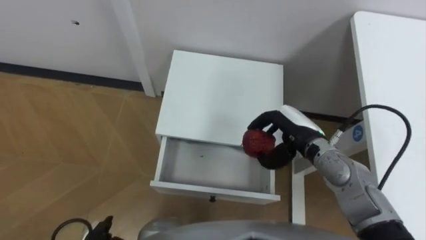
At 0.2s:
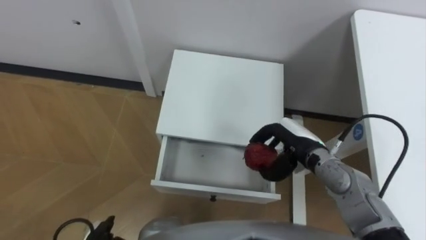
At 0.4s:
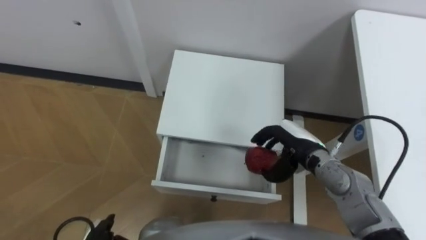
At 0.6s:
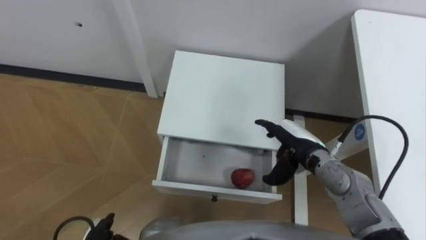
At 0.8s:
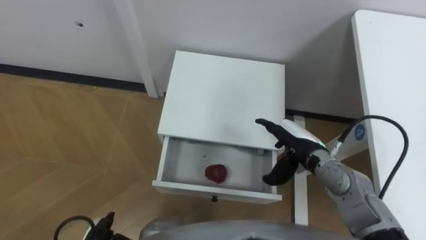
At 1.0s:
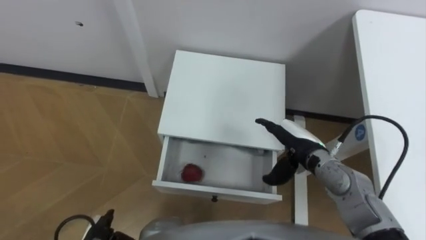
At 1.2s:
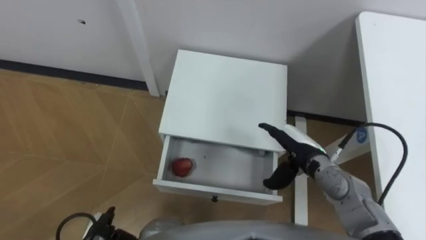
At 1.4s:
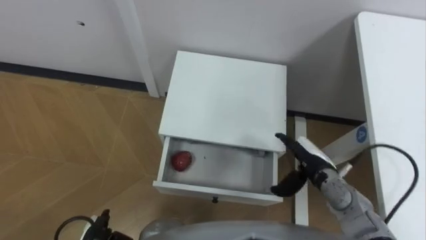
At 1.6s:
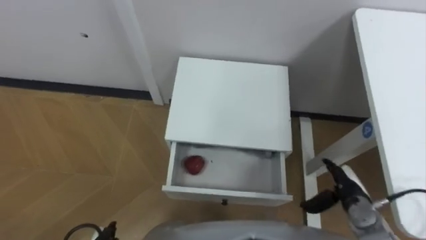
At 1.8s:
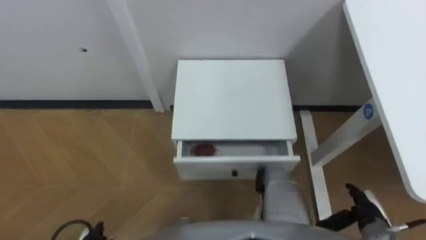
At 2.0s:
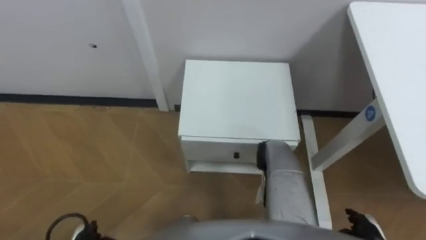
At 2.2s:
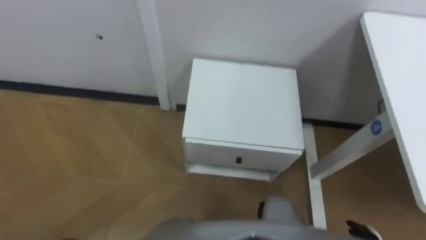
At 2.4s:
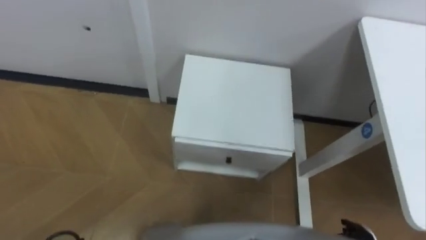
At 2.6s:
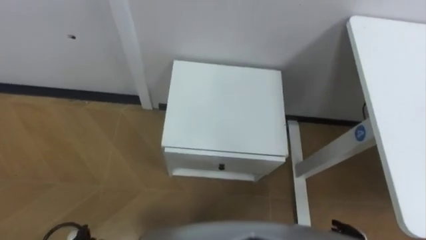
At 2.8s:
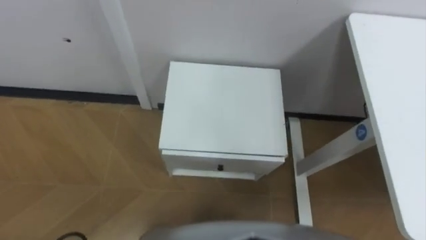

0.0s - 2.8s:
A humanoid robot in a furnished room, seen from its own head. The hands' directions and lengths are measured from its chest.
Task of the whole recording: Pick up the apple from the table, put it in the drawer, and close the drawer with leg.
0.0s - 1.4s: The right hand moves downward, approximately 5 cm, and opens.

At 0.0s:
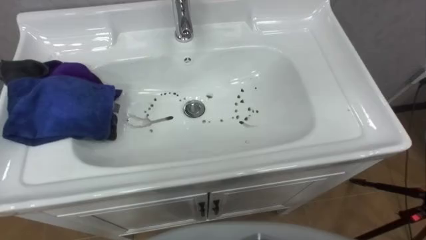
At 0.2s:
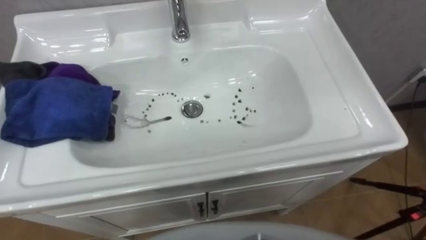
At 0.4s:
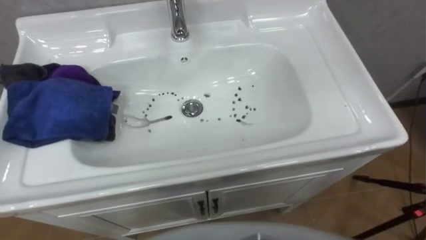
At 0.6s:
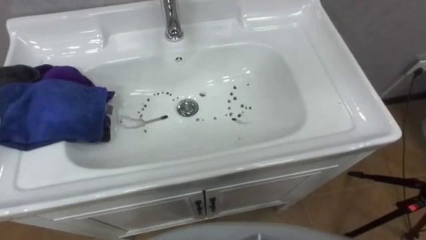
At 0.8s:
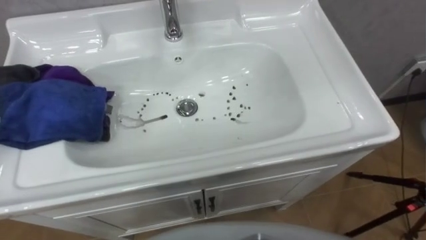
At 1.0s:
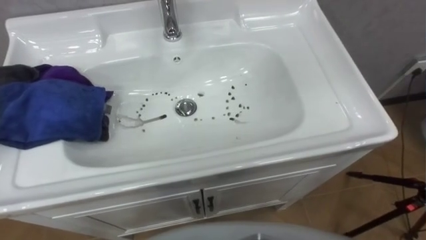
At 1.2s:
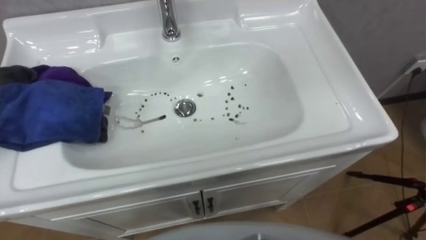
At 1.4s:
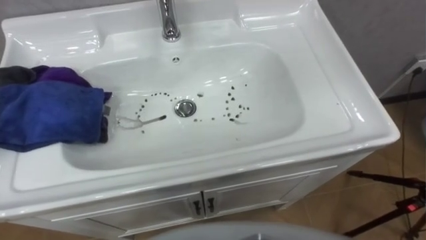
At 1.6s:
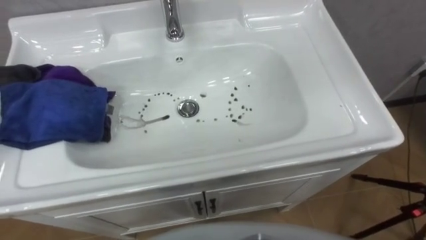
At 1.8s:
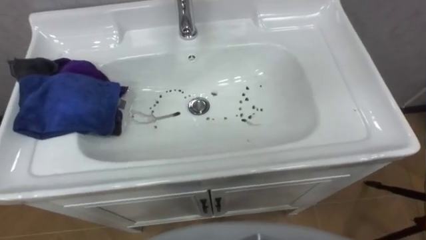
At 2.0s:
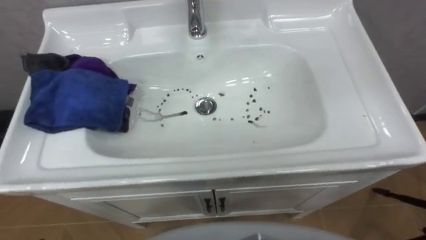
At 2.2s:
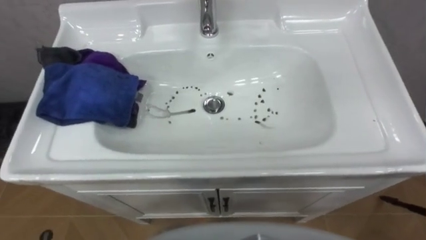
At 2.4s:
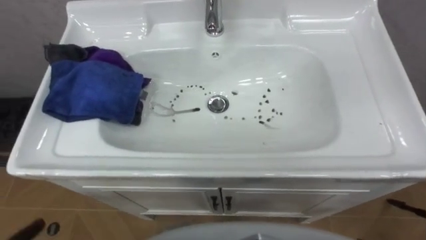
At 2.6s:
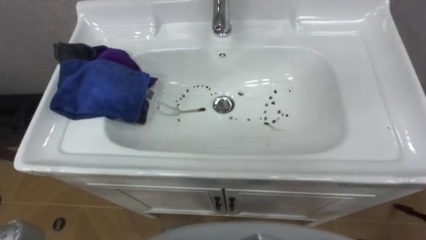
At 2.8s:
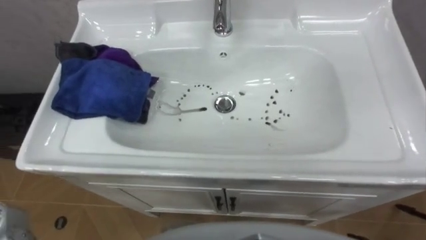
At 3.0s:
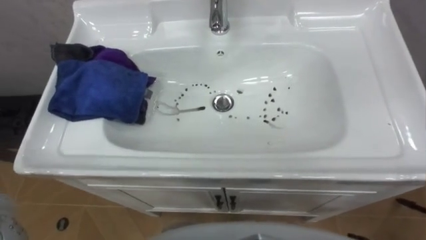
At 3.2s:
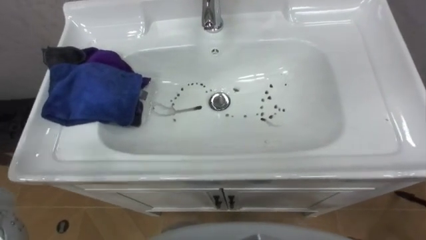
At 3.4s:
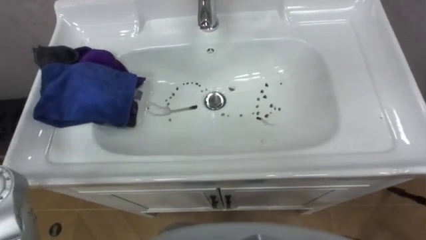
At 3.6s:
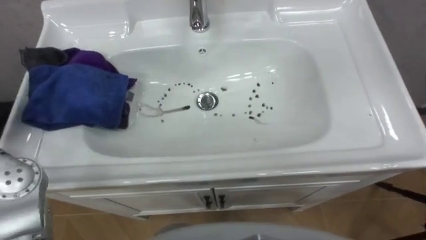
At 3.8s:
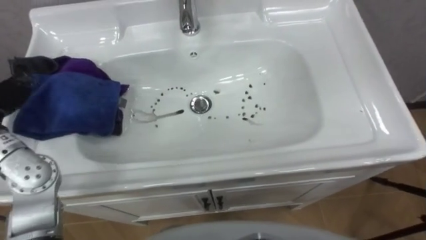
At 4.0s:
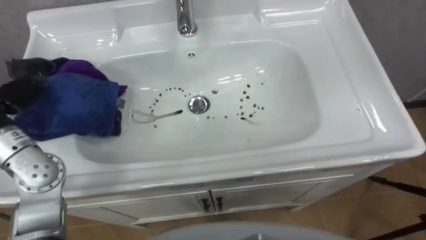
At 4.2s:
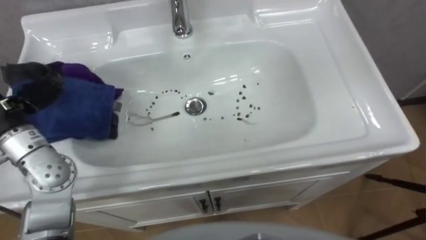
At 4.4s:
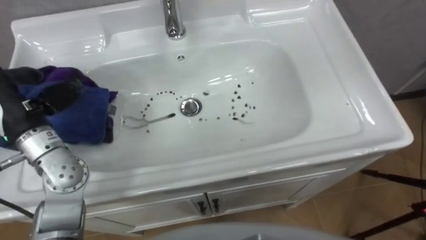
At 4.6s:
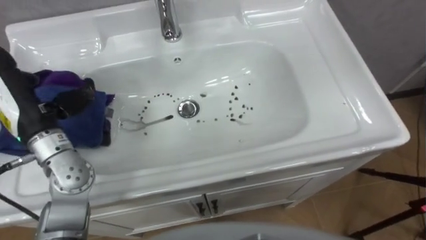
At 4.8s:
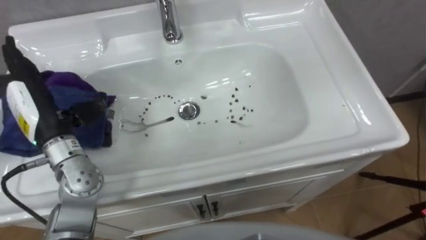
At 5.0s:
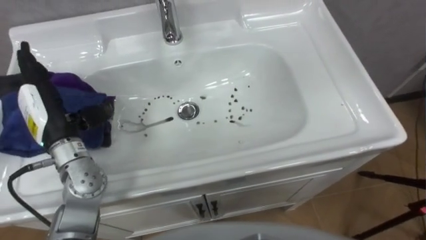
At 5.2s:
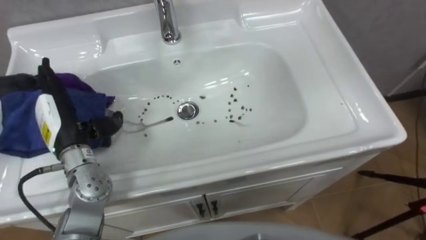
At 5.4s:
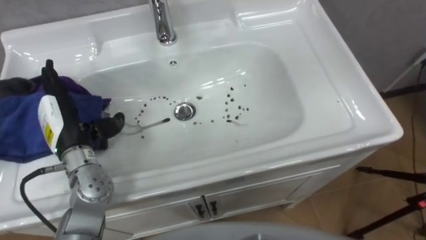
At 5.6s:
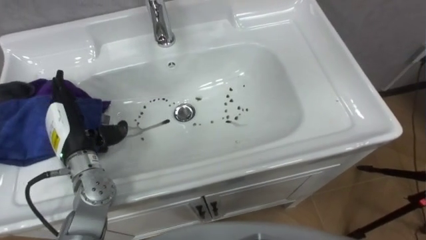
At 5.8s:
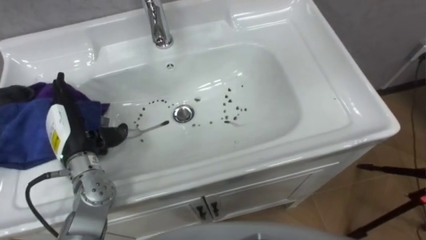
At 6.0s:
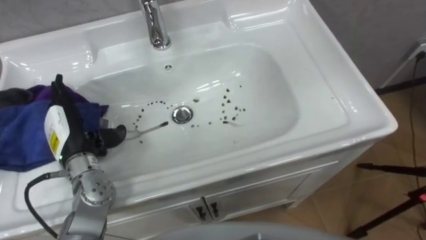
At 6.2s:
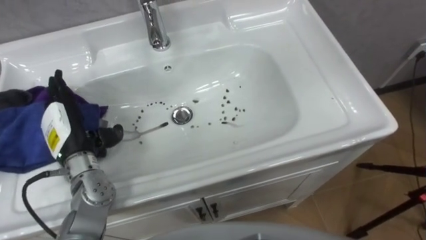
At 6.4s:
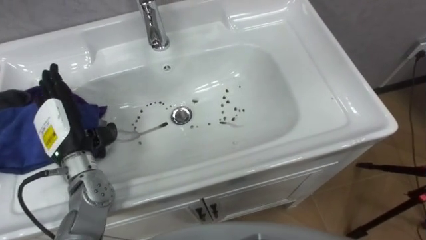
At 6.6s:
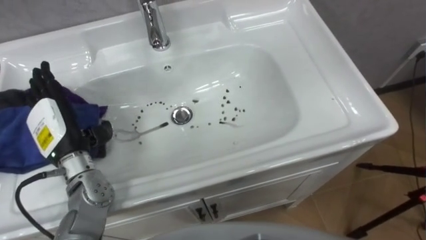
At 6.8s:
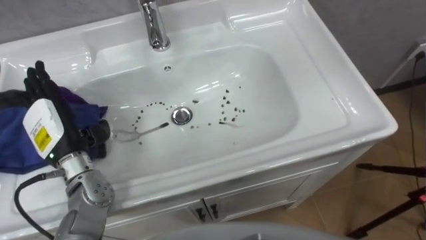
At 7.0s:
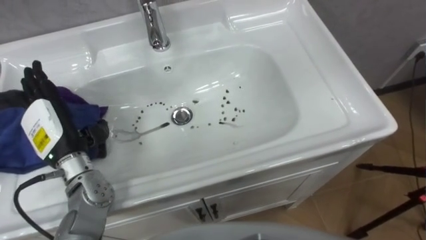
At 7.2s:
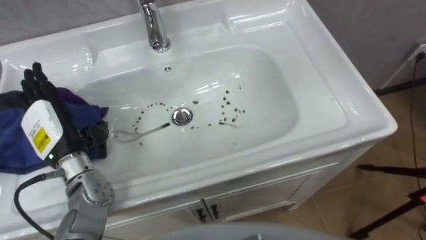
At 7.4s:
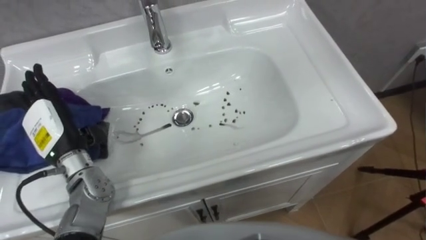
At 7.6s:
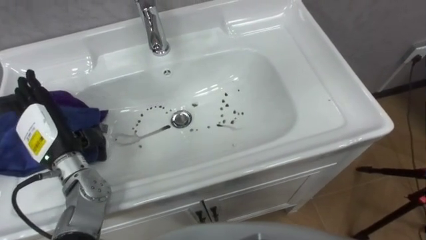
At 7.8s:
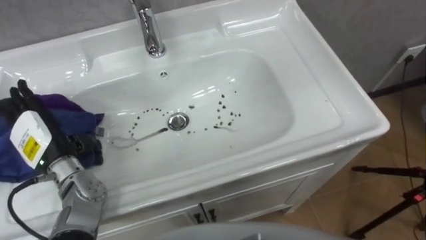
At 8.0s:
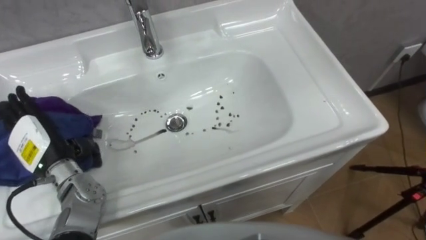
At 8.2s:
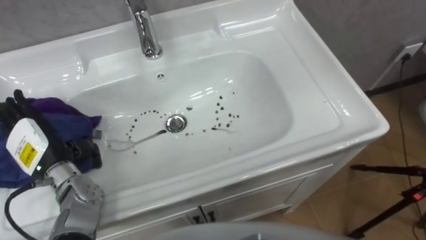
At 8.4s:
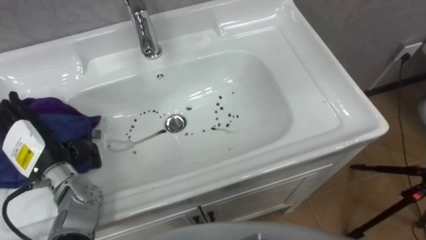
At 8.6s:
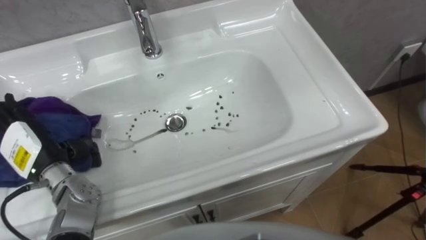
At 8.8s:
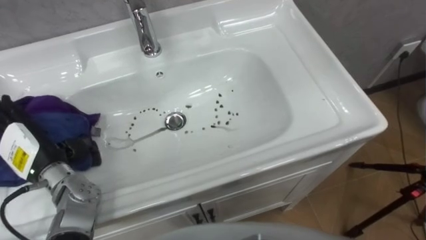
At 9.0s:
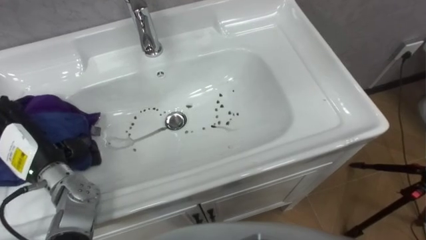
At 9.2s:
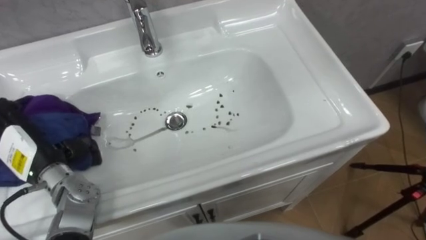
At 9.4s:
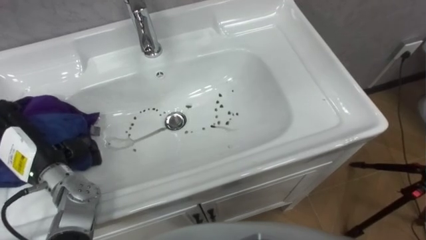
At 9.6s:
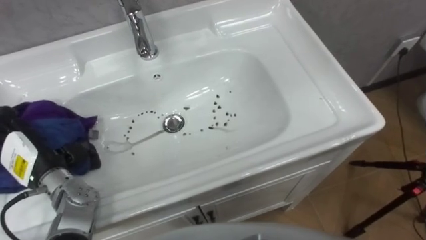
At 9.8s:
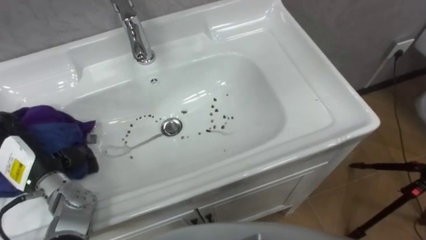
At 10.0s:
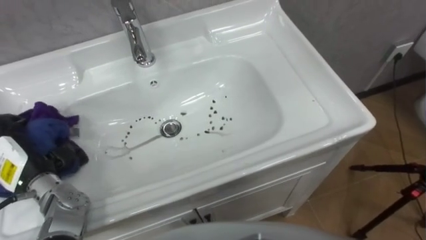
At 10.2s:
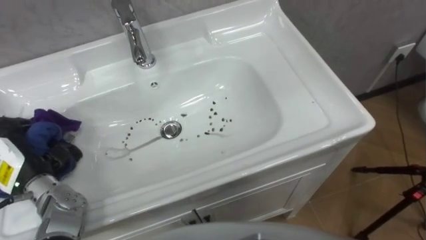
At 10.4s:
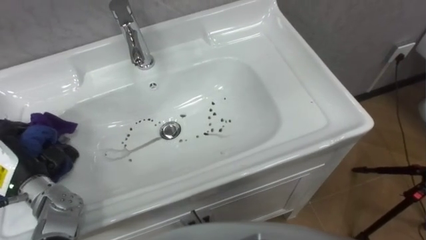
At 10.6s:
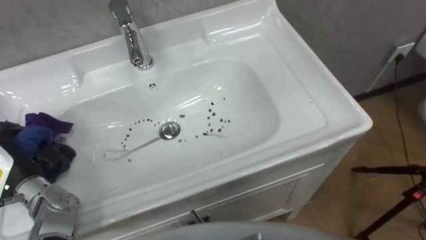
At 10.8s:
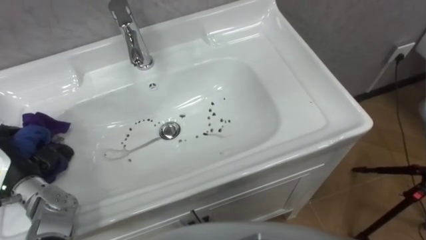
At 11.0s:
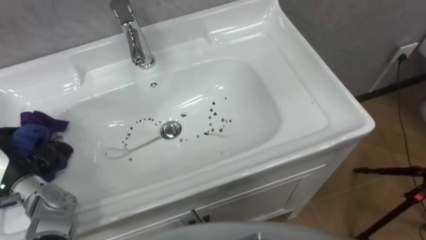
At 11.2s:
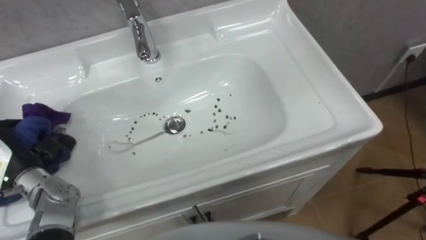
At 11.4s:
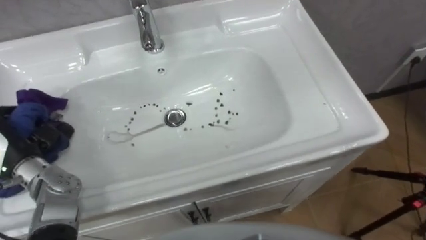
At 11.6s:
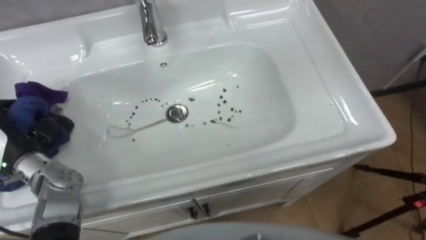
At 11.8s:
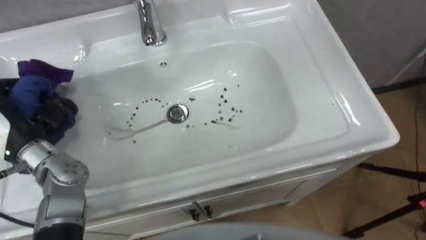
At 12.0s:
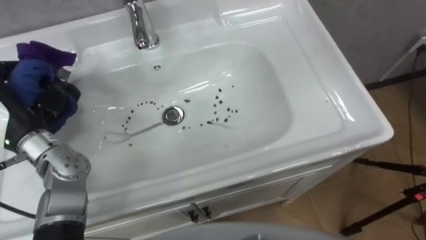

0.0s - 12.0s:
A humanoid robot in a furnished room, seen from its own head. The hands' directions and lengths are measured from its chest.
Task of the whole recording: Use the cloth on the right to wipe away the black stain in the sink.
4.4s - 6.0s: The left hand travels downward by roughly 10 cm.
9.0s - 10.4s: The left hand changes place by roughly 5 cm, and closes.

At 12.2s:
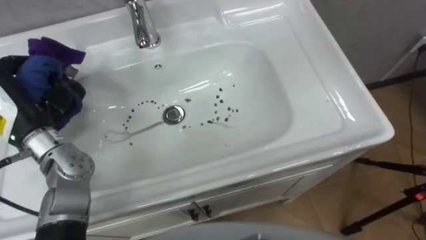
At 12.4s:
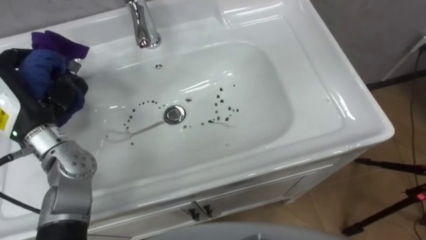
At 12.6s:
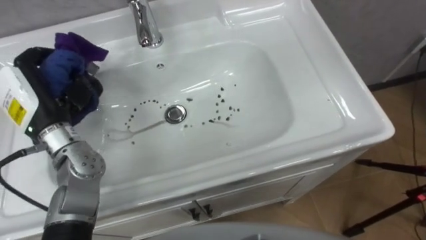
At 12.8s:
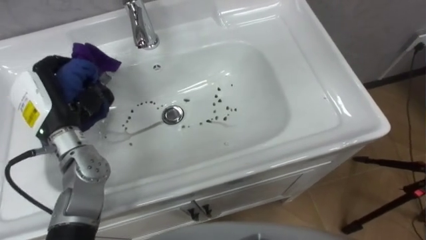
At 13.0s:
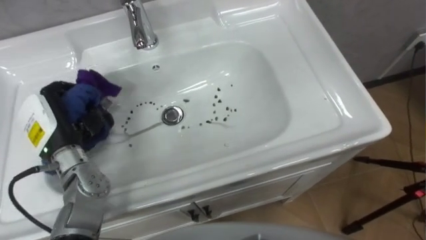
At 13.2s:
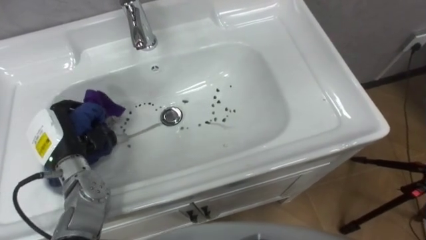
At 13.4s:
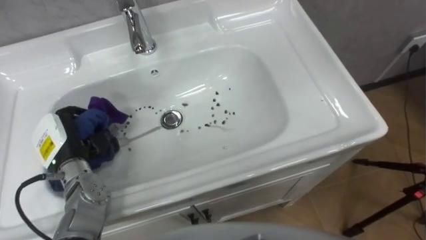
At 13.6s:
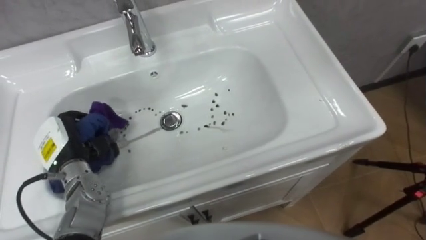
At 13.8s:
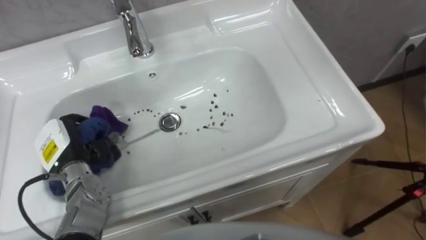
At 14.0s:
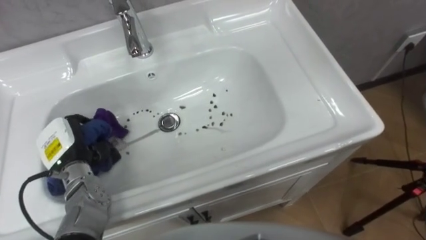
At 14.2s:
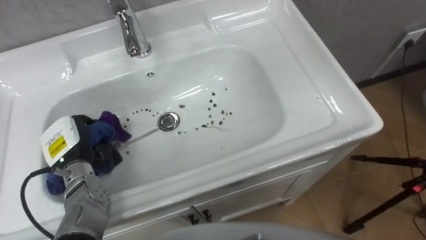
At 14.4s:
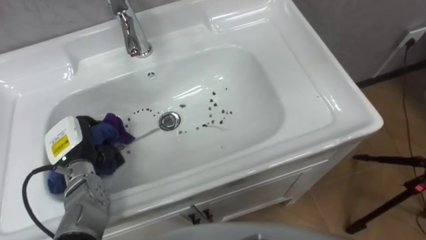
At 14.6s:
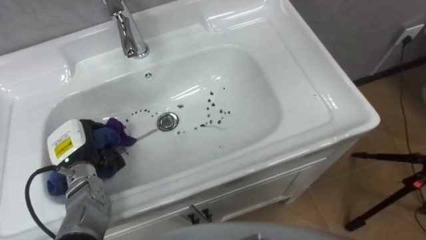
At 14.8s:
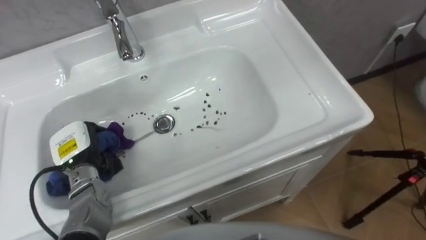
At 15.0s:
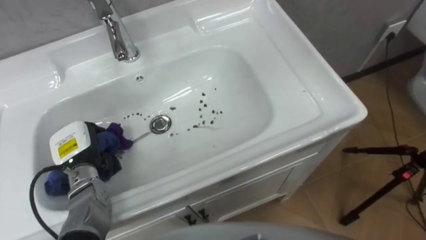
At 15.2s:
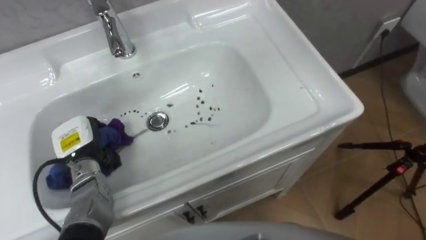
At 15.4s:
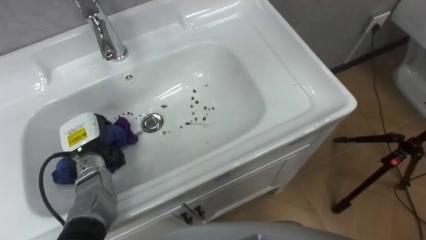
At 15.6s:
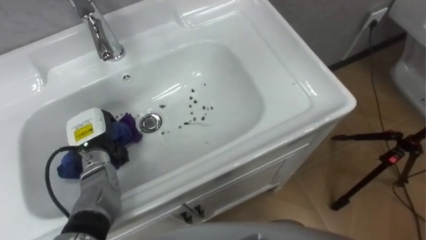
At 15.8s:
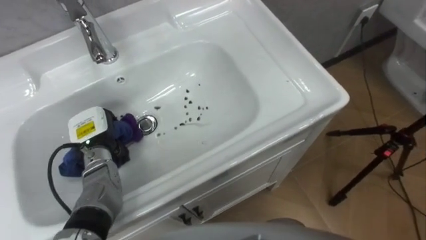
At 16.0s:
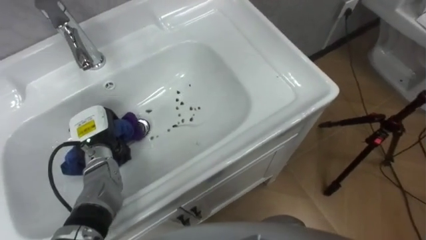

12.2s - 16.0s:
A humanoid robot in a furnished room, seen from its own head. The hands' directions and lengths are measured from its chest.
Task of the whole recording: Use the cloth on the right to wipe away the black stain in the sink.
12.2s - 13.4s: The left hand moves downward, approximately 10 cm.
14.8s - 16.0s: The left hand ends up about 5 cm from where it was.
